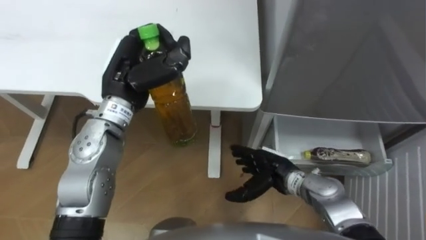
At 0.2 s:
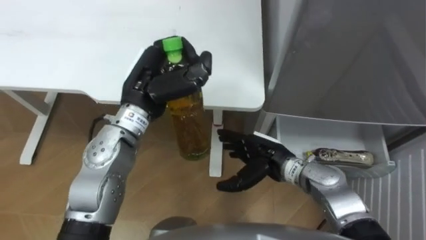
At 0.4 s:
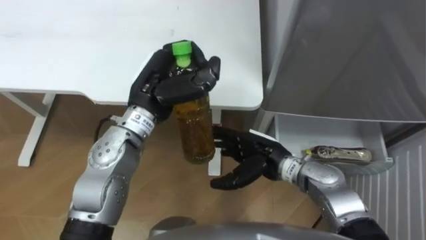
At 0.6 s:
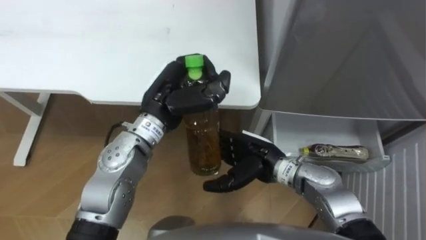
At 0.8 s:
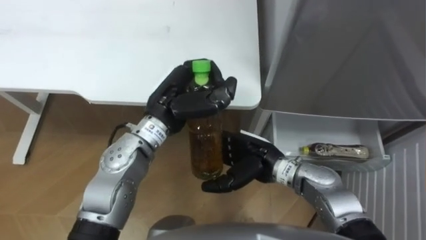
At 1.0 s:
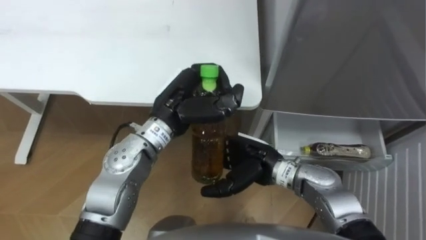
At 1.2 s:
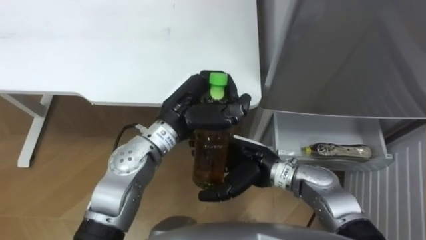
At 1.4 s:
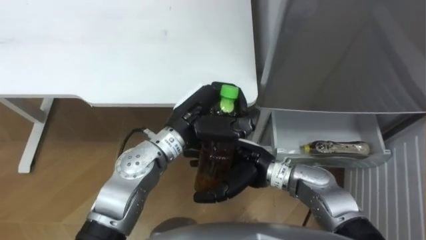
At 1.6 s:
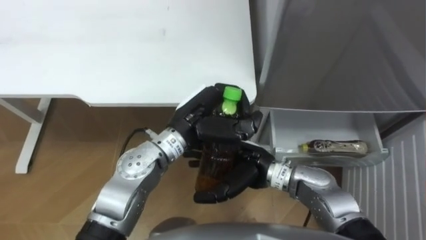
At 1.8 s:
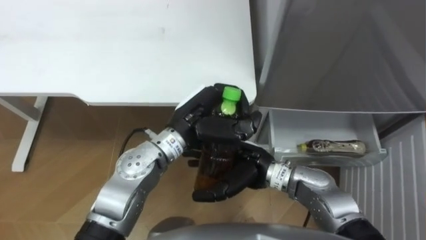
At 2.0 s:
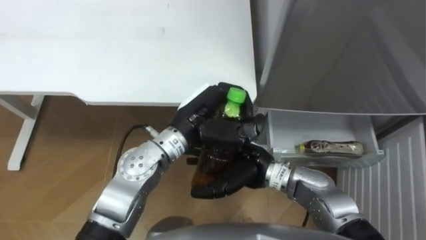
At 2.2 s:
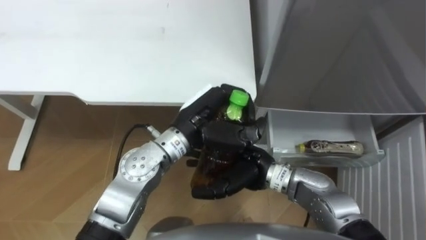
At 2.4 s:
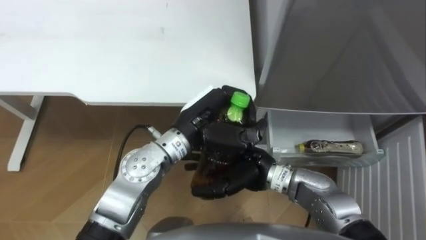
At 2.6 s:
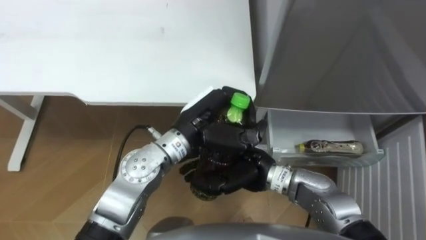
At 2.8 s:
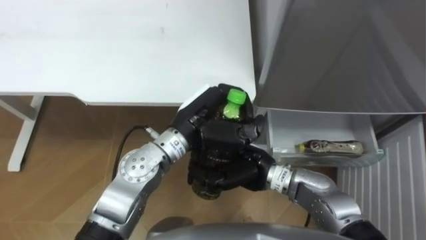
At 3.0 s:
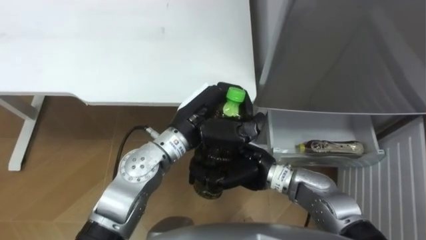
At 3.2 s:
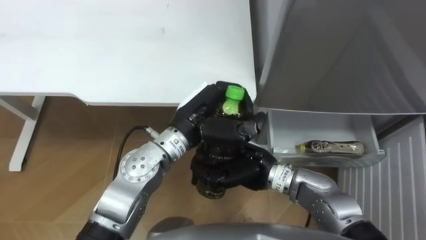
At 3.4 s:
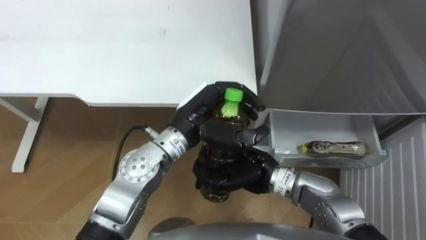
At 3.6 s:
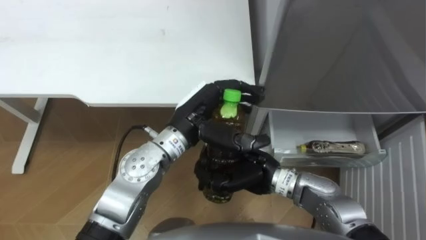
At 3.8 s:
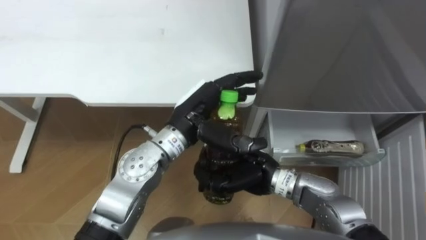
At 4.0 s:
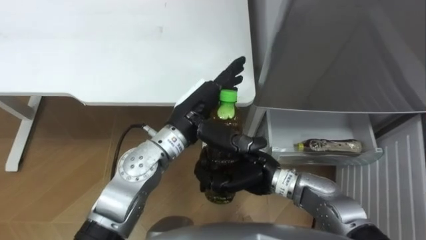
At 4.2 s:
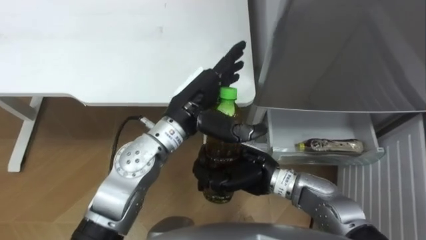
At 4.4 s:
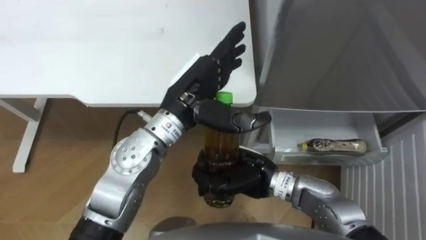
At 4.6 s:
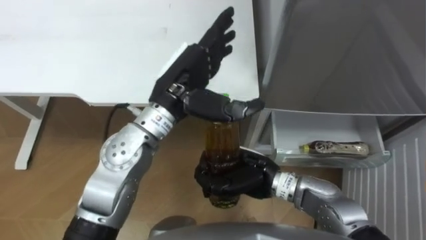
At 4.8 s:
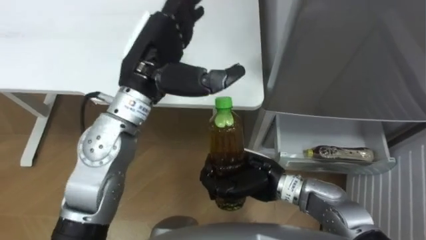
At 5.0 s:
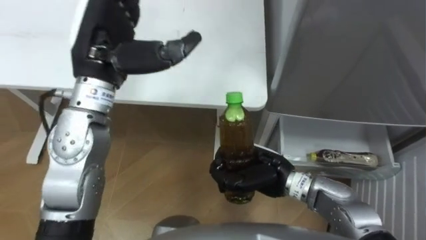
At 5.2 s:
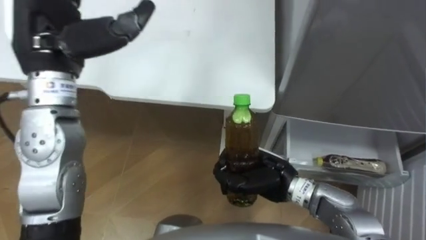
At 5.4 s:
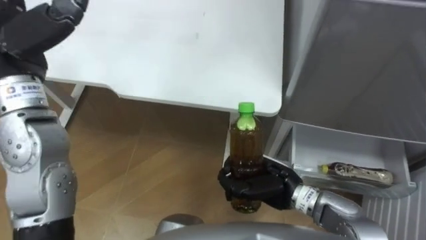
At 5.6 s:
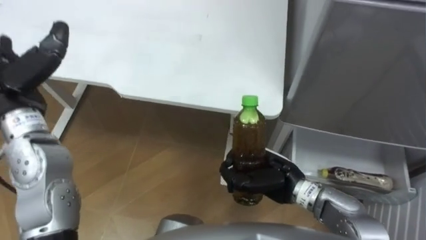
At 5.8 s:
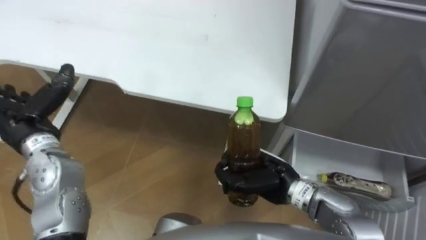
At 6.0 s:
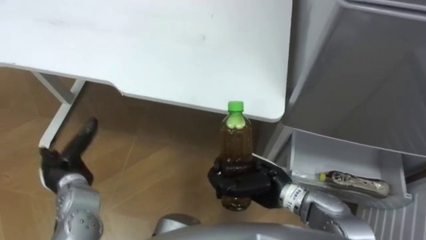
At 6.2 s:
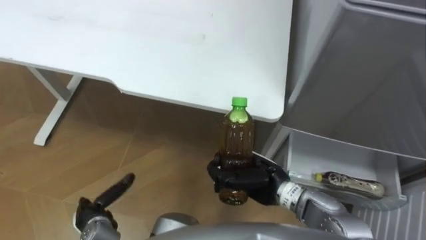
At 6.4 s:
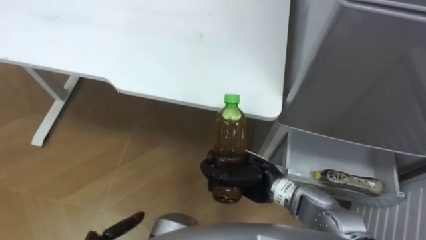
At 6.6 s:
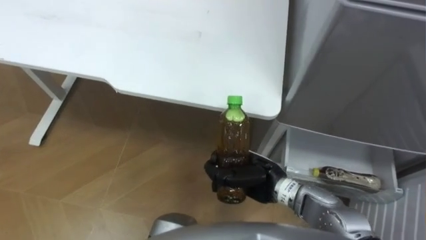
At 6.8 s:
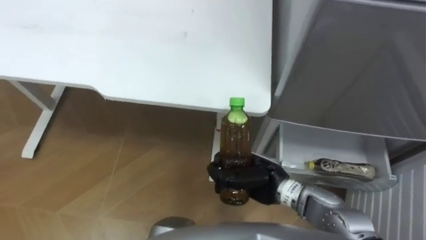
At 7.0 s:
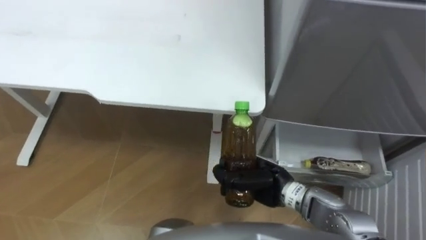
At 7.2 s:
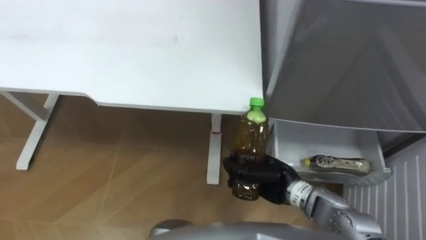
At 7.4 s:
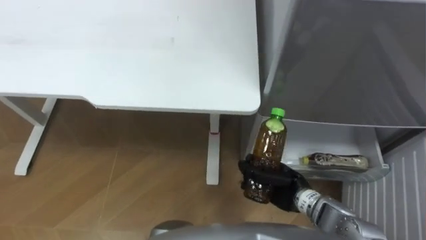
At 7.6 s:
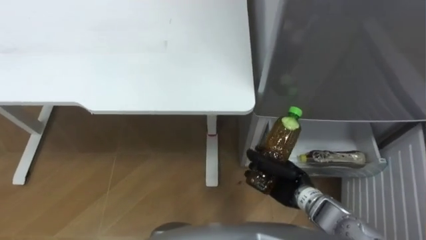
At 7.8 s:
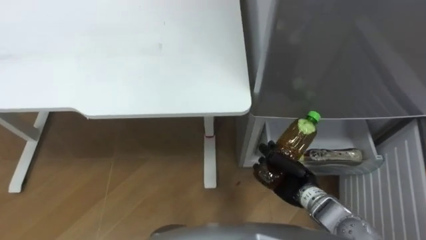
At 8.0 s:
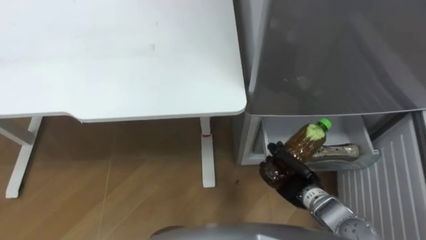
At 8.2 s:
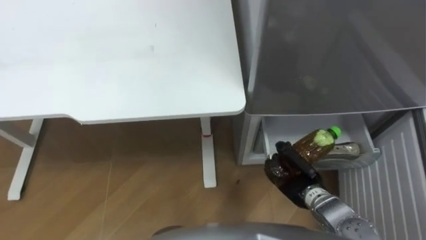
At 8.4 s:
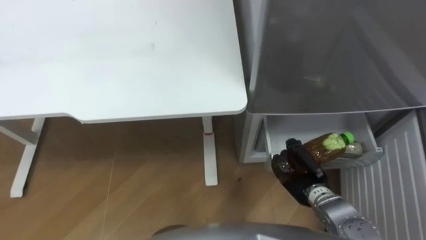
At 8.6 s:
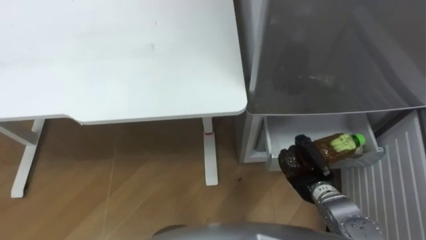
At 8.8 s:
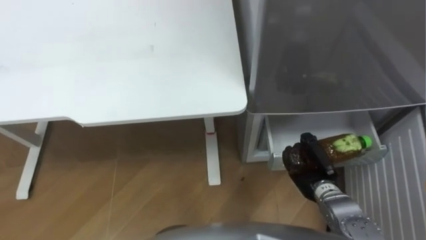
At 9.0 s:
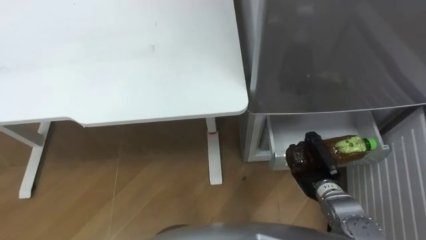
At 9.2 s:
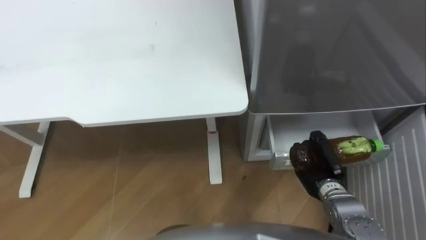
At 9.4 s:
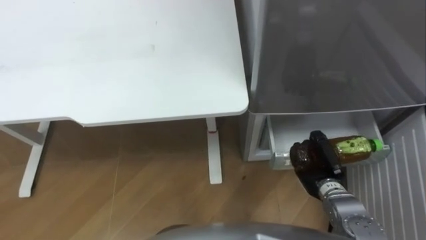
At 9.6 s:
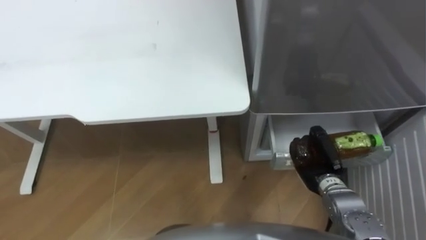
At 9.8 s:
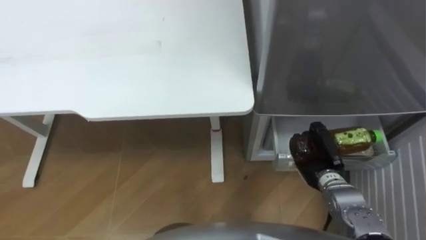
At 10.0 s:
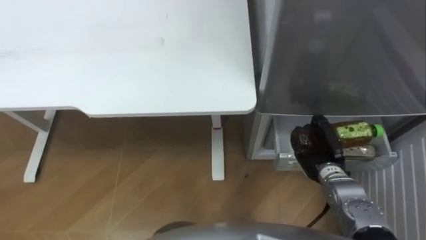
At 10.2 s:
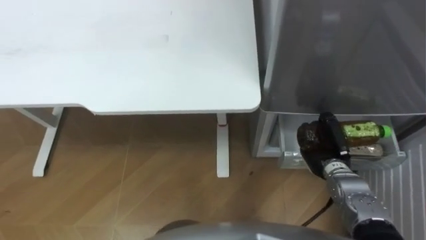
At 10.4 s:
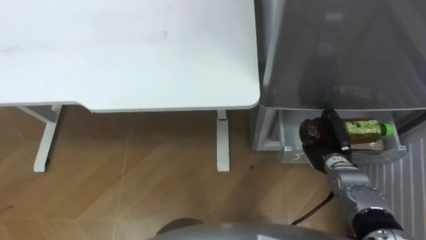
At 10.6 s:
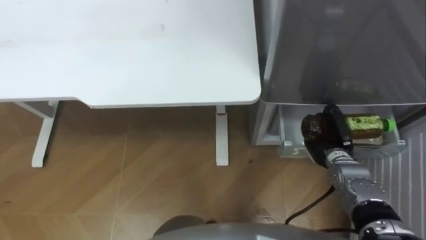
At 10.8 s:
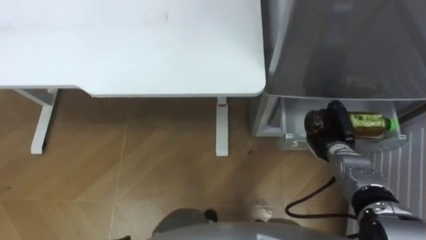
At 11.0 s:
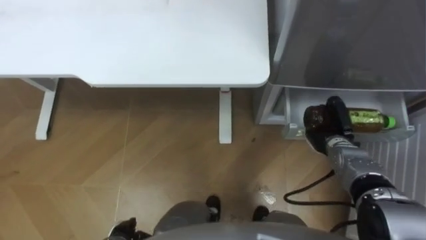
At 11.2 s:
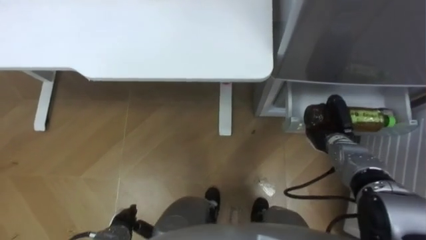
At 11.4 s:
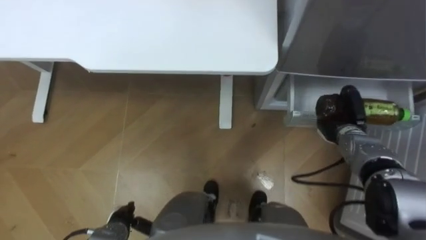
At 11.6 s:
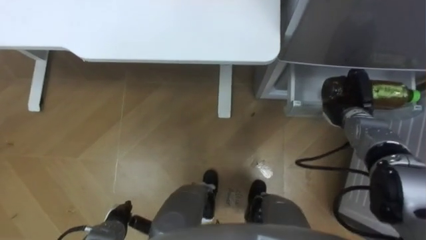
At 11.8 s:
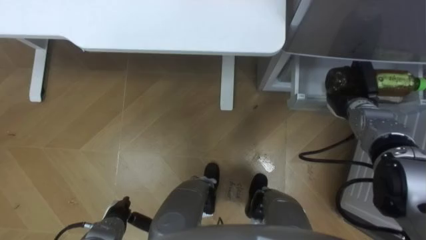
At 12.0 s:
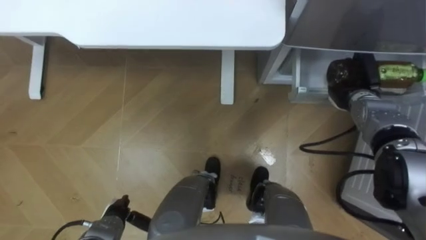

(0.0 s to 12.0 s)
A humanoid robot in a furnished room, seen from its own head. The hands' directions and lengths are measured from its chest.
Task of the whole recording: Place the drink on the table on the bottom shelf of the refrigerator, then close the drawer and the refrigerator door.
0.0 s - 1.6 s: The right hand shifts about 10 cm upward and to the left; the left hand shifts about 15 cm to the right and downward.
1.6 s - 3.0 s: The right hand closes up.
3.0 s - 4.4 s: The left hand shifts roughly 5 cm upward, and opens up.
6.0 s - 7.6 s: The right hand is displaced to the right and downward by some 10 cm.
7.6 s - 9.0 s: The right hand moves to the right, about 5 cm.
9.0 s - 10.4 s: The right hand ends up about 5 cm from where it was.
10.4 s - 12.0 s: The right hand shifts some 15 cm forward and upward.

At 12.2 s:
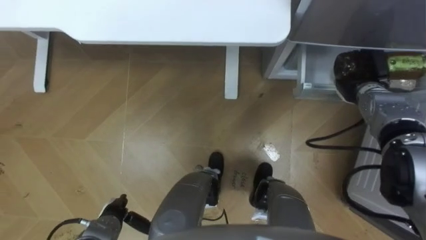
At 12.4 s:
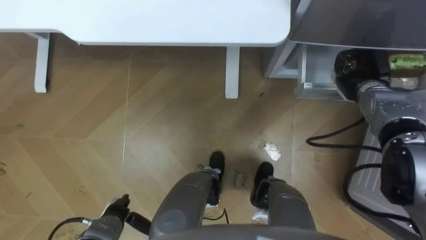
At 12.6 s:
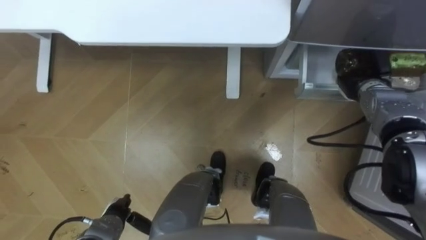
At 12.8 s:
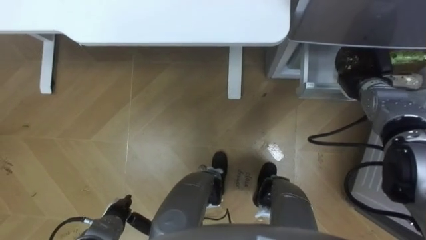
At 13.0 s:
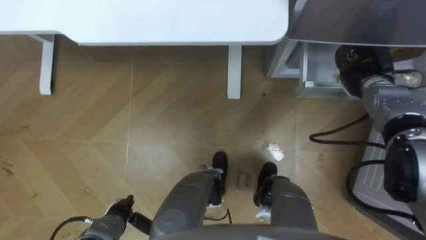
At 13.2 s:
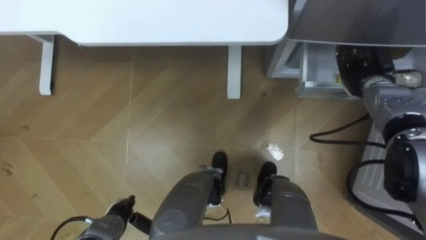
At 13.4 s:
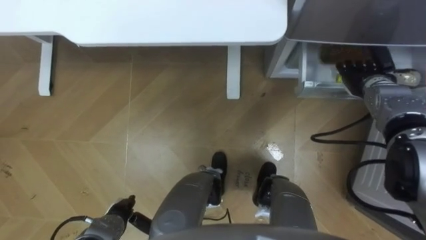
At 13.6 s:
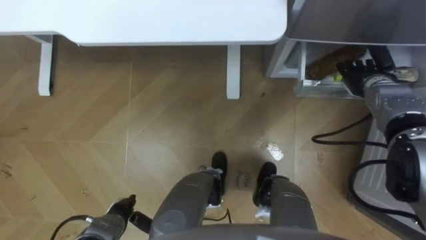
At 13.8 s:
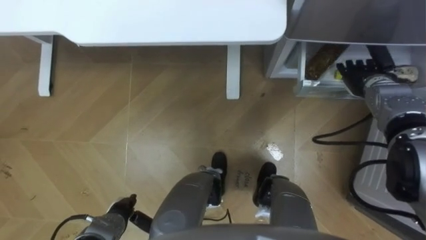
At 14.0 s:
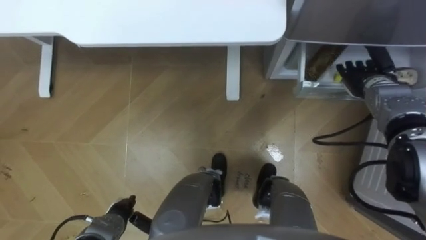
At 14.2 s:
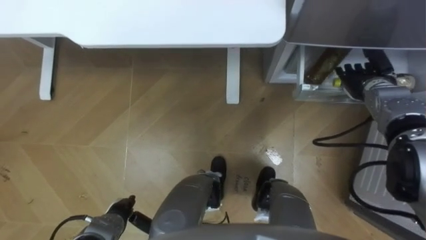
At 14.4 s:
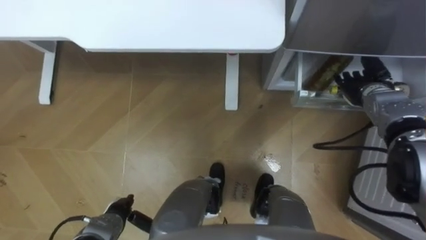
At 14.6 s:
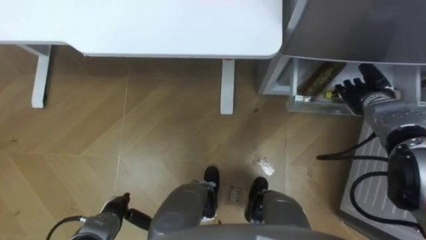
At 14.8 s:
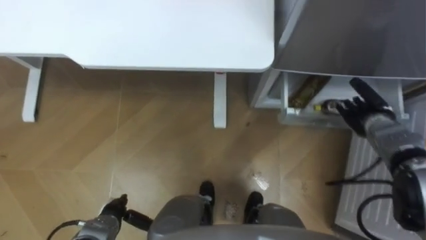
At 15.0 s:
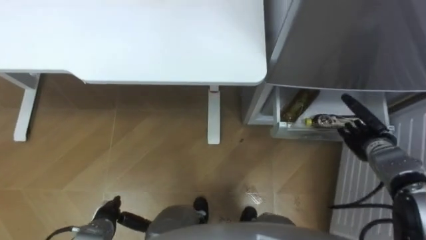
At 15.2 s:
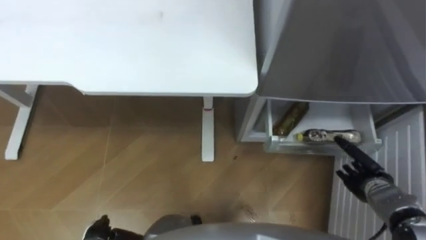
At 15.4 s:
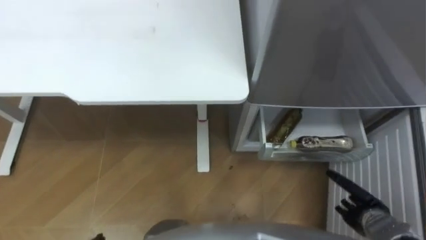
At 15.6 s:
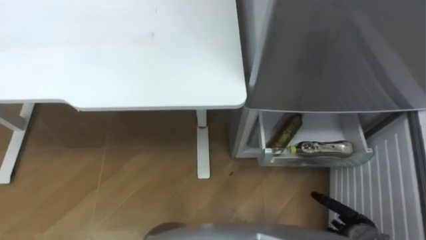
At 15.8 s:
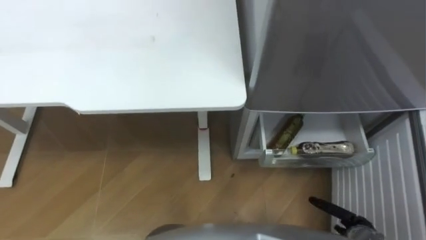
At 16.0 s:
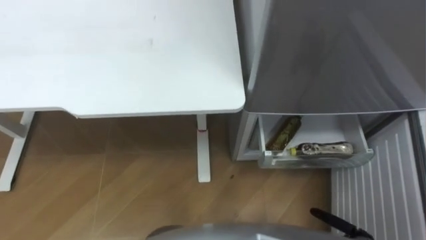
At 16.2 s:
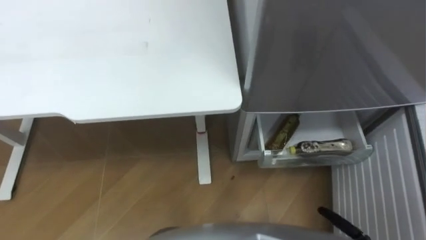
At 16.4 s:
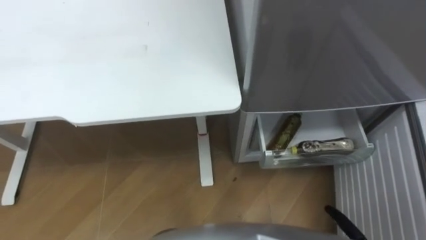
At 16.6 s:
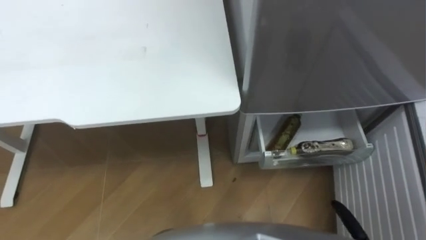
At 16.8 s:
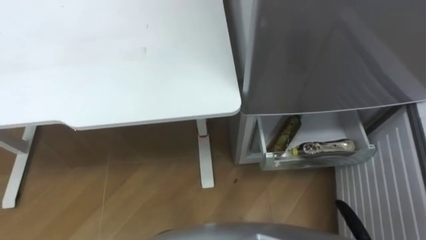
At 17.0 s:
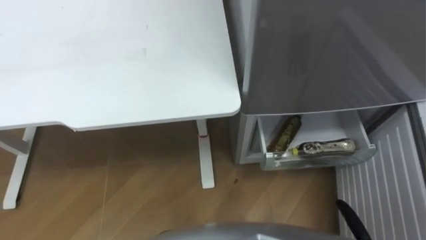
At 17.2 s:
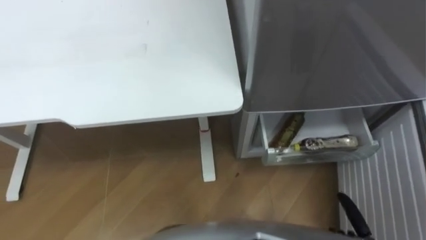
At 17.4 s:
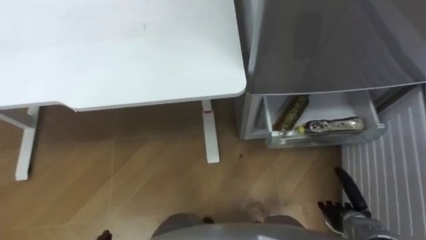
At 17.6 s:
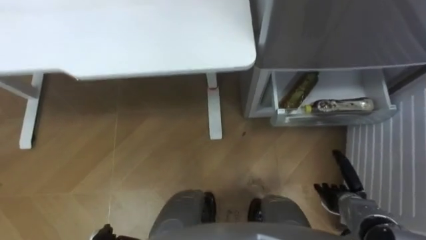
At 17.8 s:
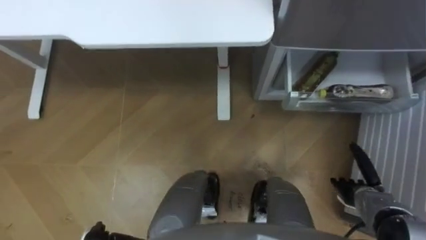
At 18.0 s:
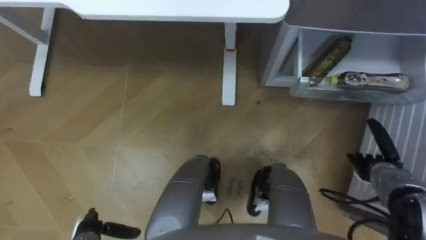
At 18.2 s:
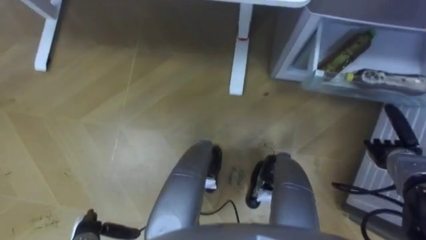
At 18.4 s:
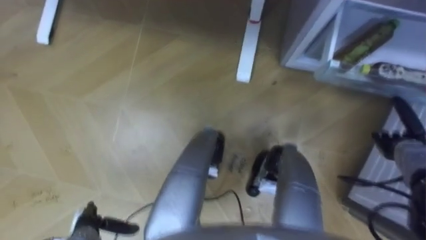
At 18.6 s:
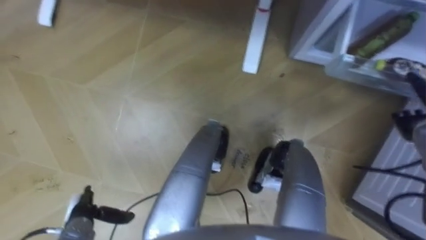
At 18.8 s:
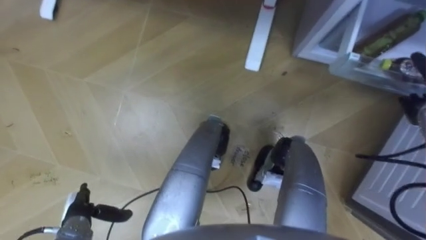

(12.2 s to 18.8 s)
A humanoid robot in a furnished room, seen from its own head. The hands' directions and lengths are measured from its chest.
Task of the whole recording: Place the drink on the table on the bottom shelf of the refrigerator, then close the drawer and the refrigerator door.
12.2 s - 13.8 s: The right hand opens.
13.8 s - 15.4 s: The right hand heads backward and downward, covering roughly 30 cm.
